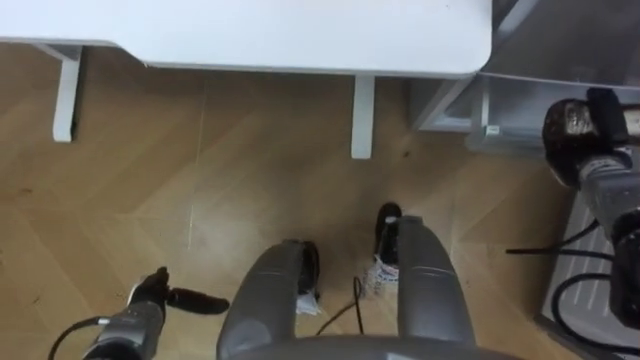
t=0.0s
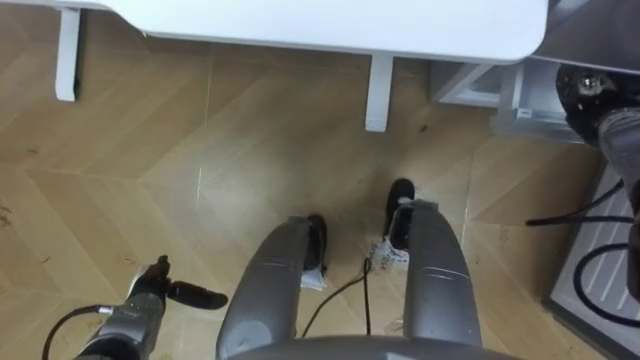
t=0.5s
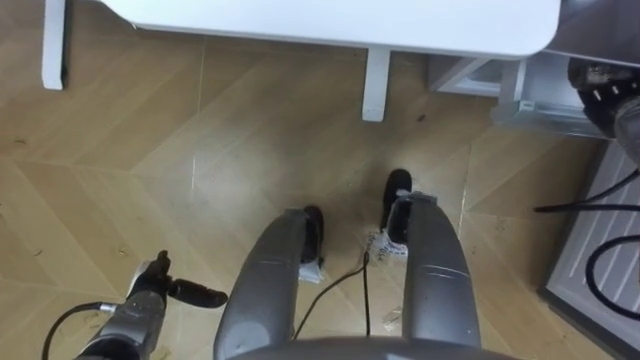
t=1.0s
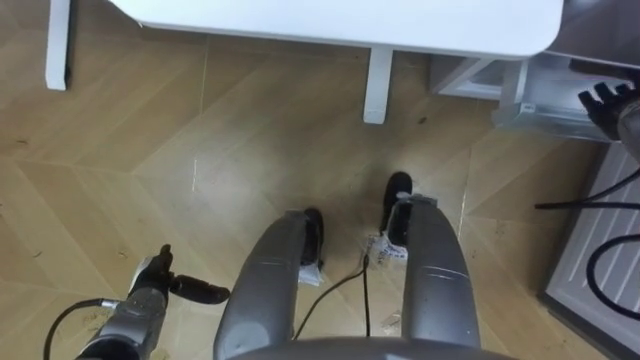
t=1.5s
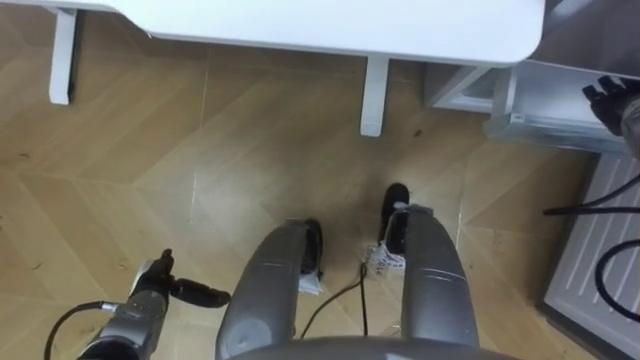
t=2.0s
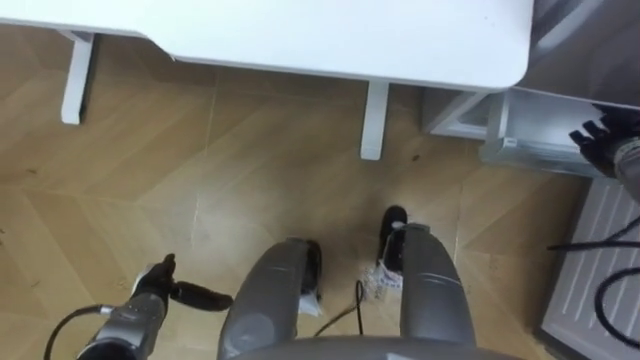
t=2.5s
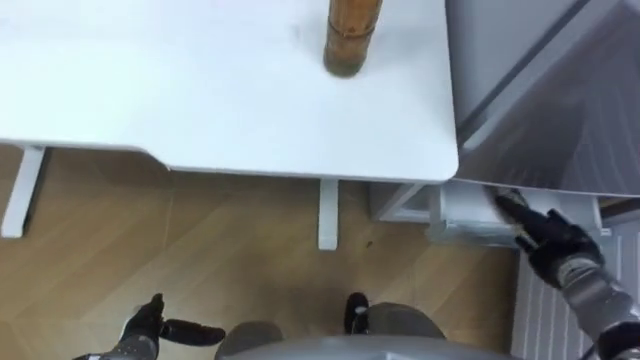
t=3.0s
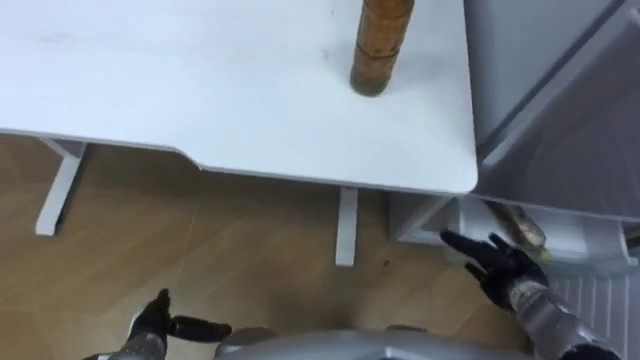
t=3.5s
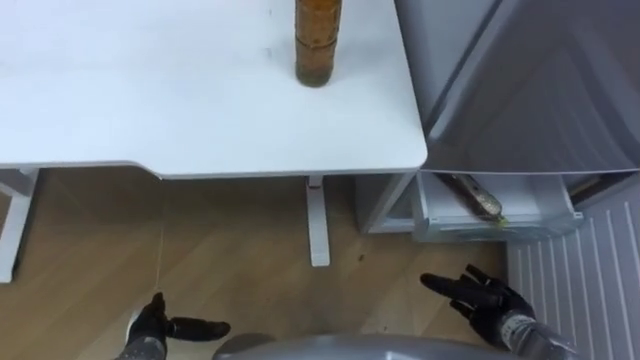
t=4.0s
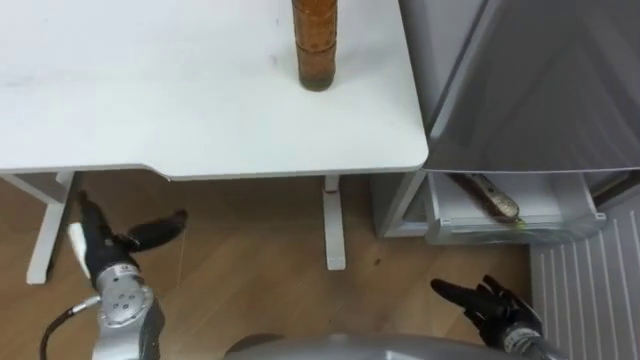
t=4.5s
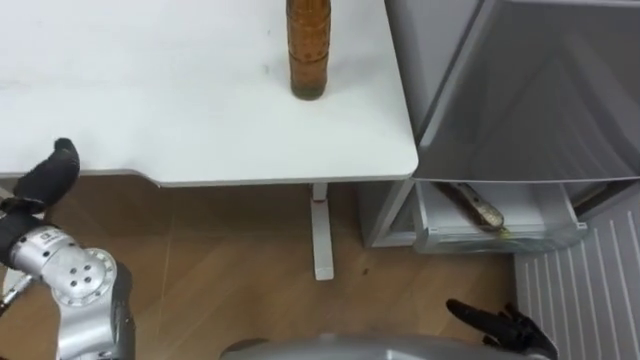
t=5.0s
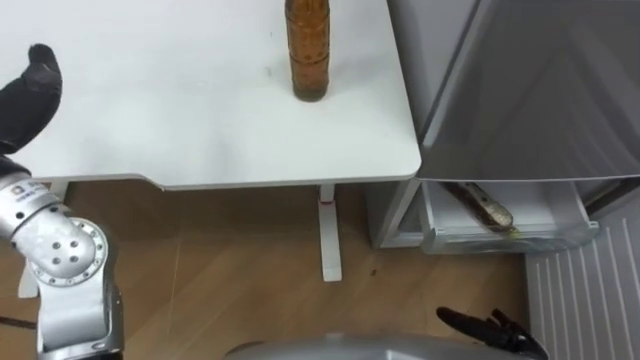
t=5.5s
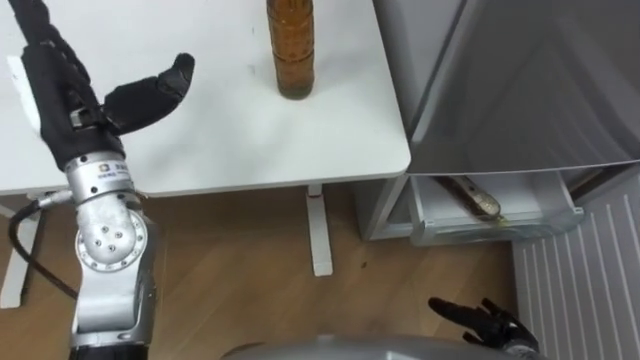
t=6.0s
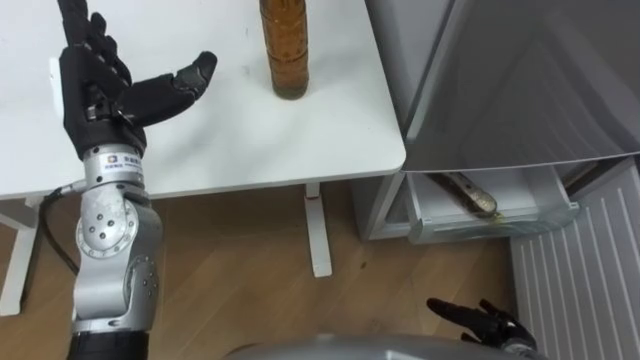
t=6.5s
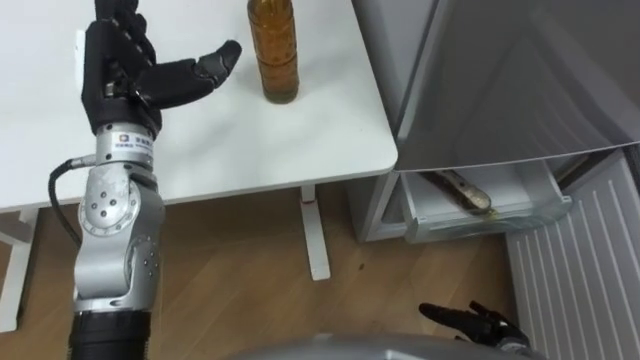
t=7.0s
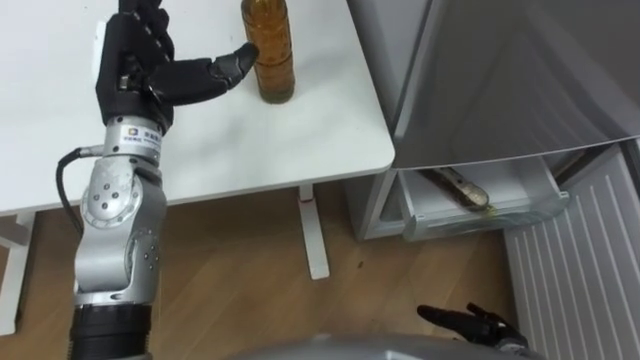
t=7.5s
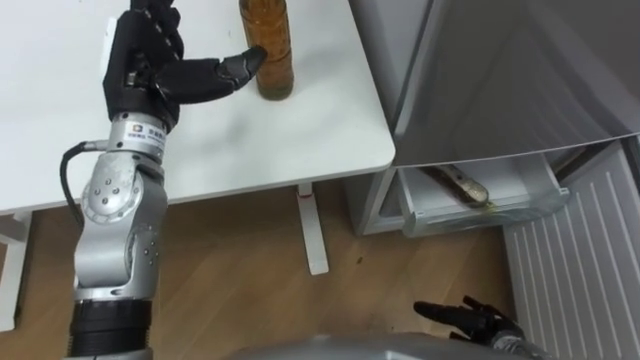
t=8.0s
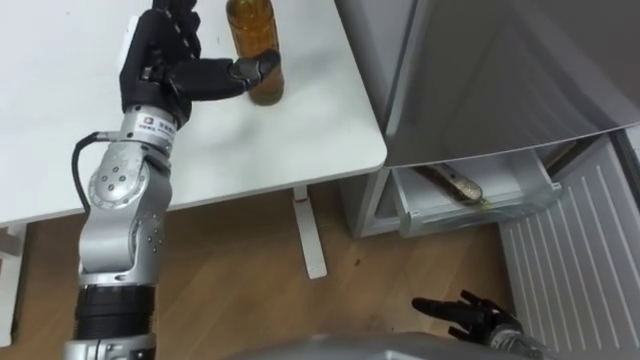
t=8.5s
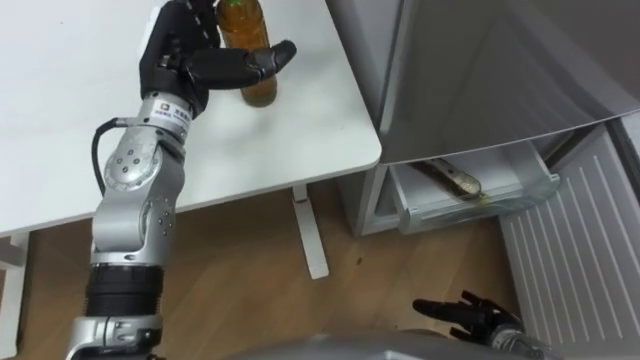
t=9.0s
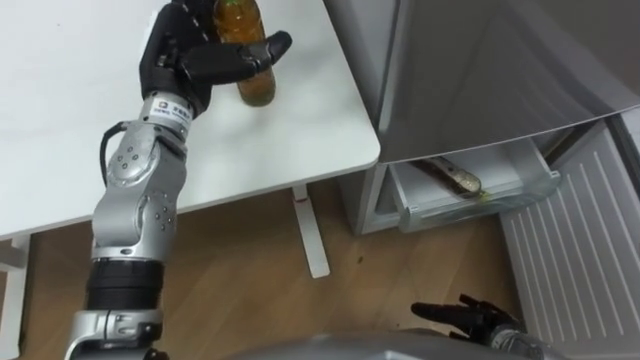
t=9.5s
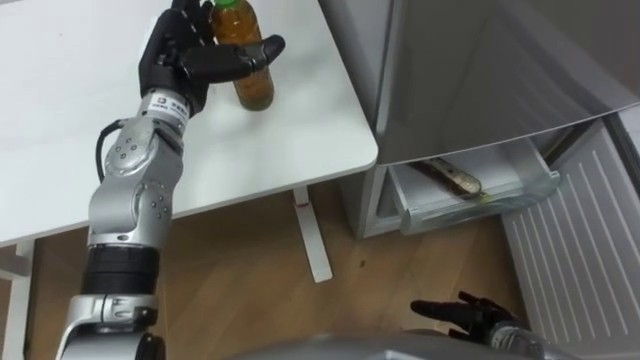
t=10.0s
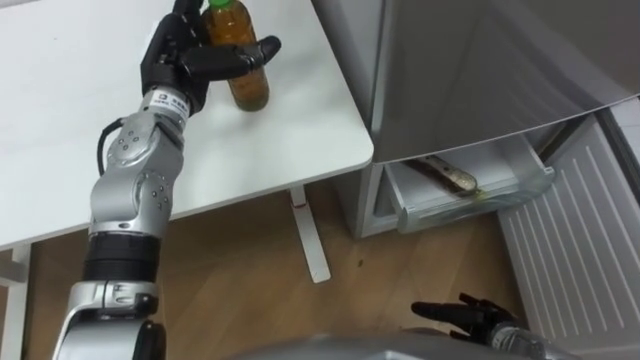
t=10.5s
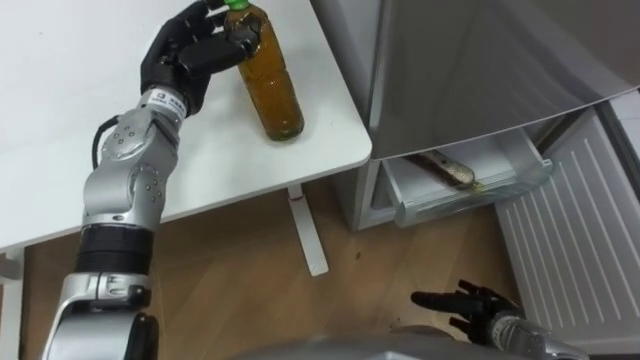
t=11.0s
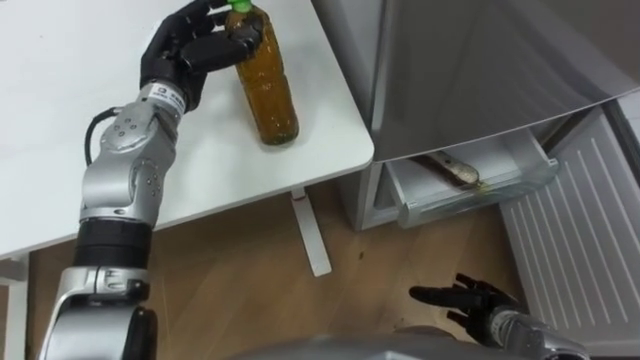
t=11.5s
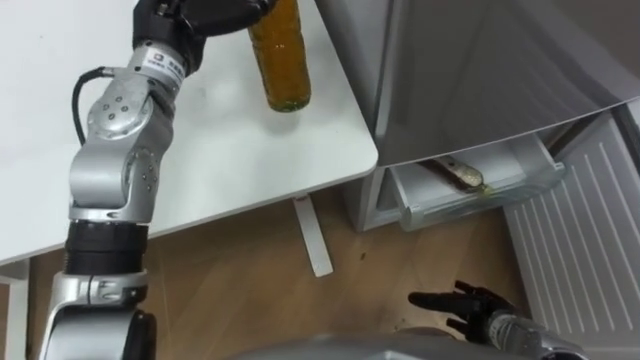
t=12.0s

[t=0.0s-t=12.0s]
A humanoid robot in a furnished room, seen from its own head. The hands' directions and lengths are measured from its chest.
Task of the whole recording: Place the drink on the table on the bottom shelf of the refrigerator, then close the drawer and the refrigerator door.
t=0.0s to t=2.0s: The right hand is displaced upward by about 10 cm, and opens.
t=2.0s to t=4.0s: The left hand is displaced backward by approximately 5 cm, while the right hand shifts approximately 35 cm backward, downward and to the left.
t=4.0s to t=6.0s: The right hand moves roughly 5 cm.
t=6.0s to t=8.0s: The left hand moves to the right and forward, roughly 10 cm.
t=8.0s to t=10.0s: The left hand changes place by roughly 5 cm.
t=10.0s to t=12.0s: The left hand changes place by about 5 cm, and closes.

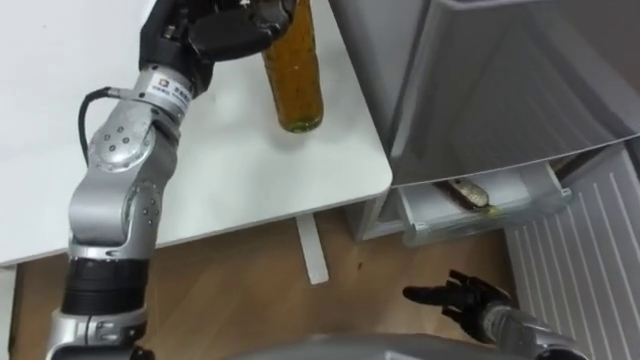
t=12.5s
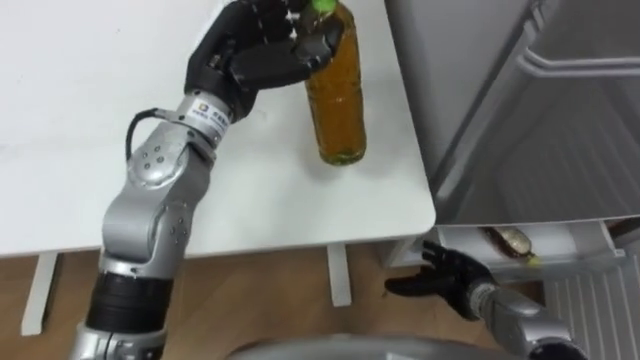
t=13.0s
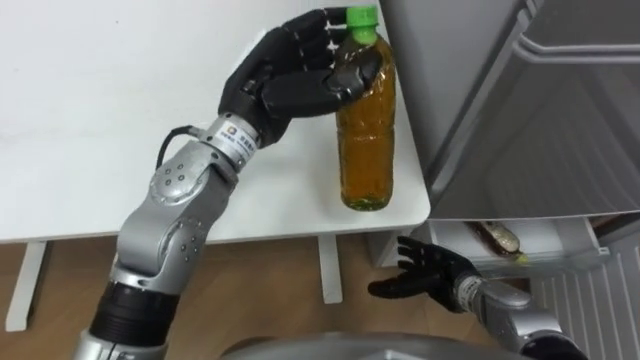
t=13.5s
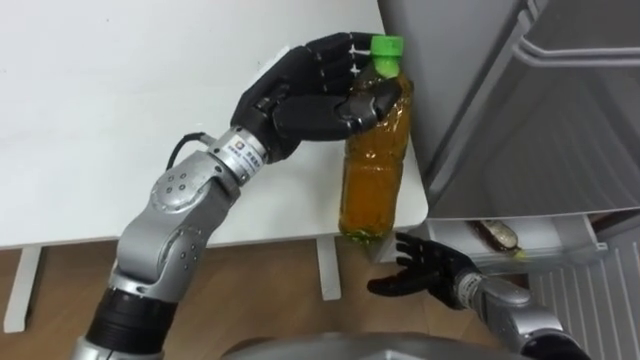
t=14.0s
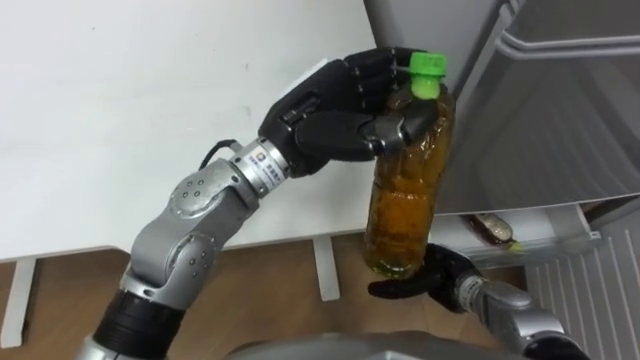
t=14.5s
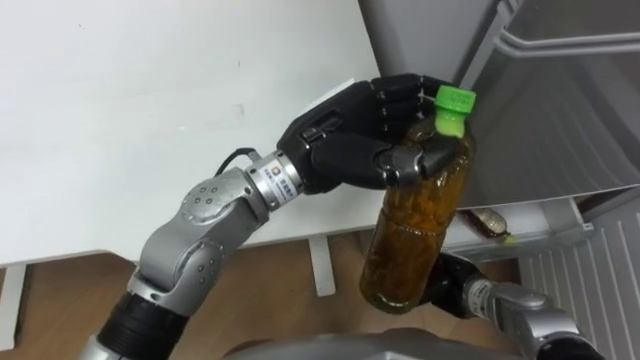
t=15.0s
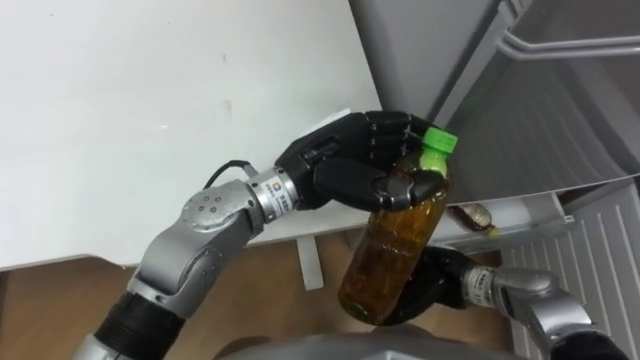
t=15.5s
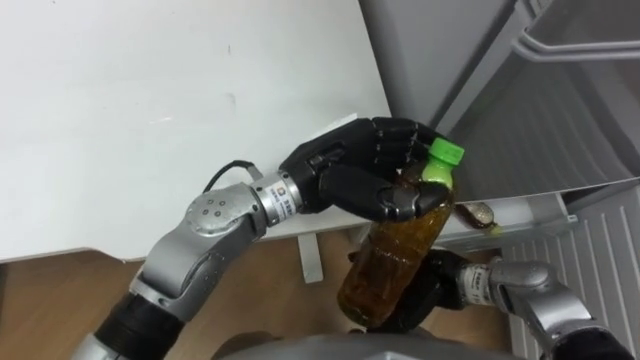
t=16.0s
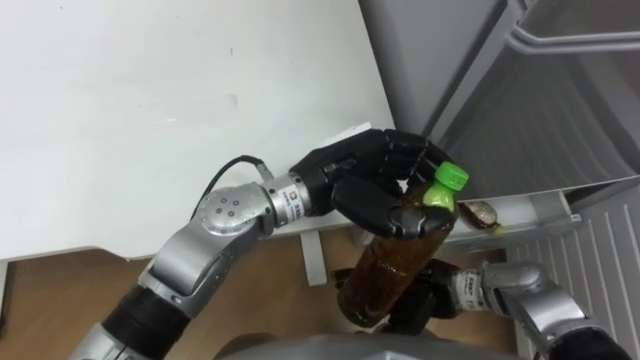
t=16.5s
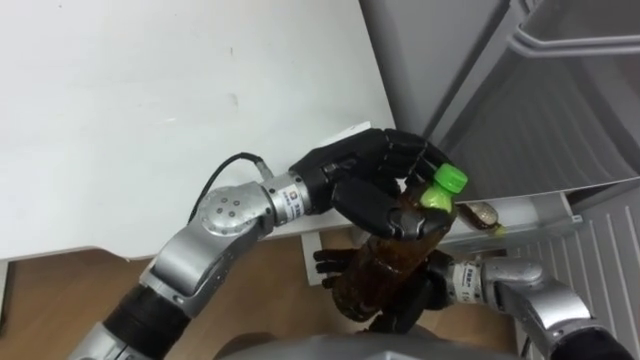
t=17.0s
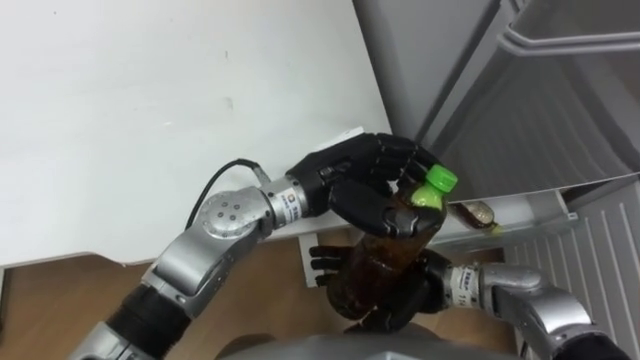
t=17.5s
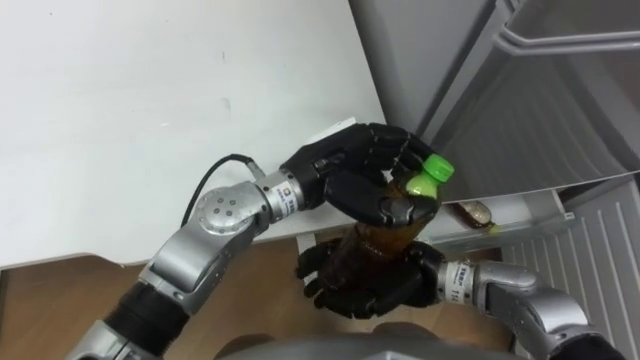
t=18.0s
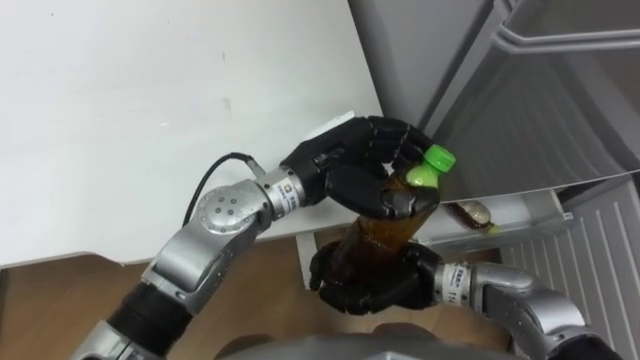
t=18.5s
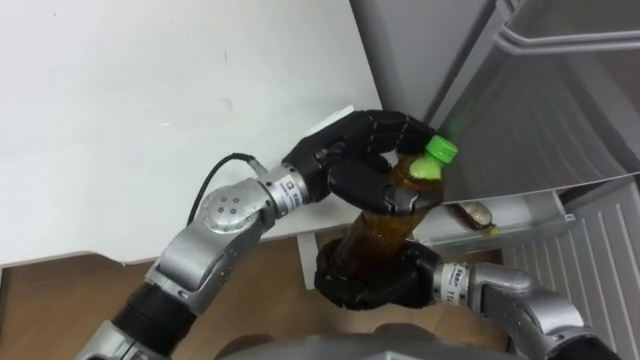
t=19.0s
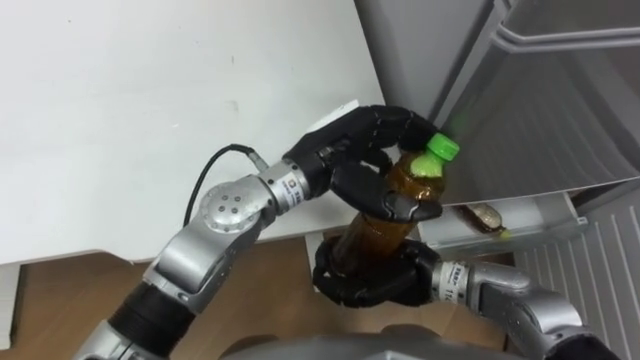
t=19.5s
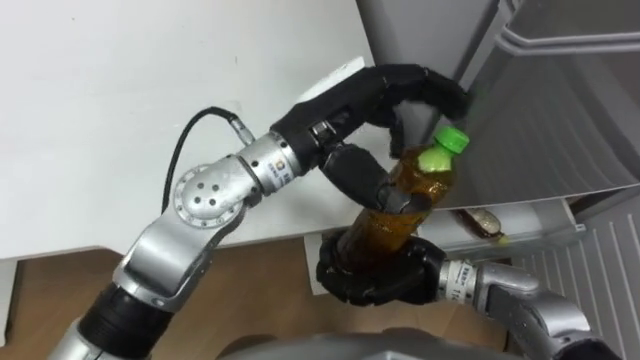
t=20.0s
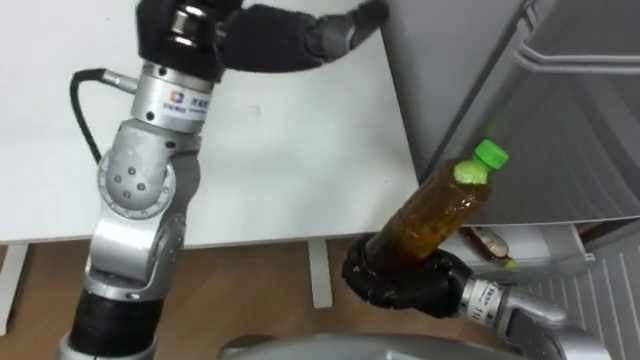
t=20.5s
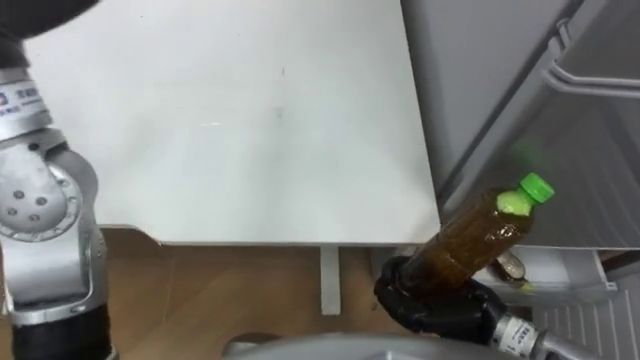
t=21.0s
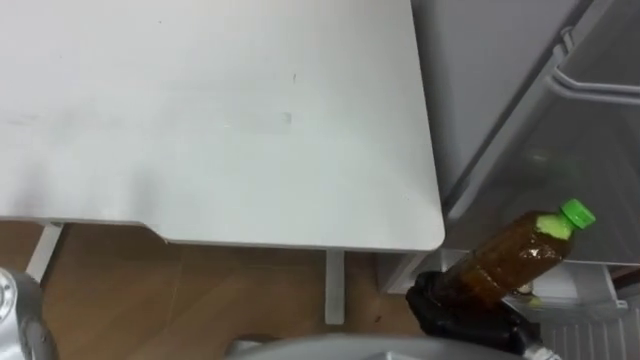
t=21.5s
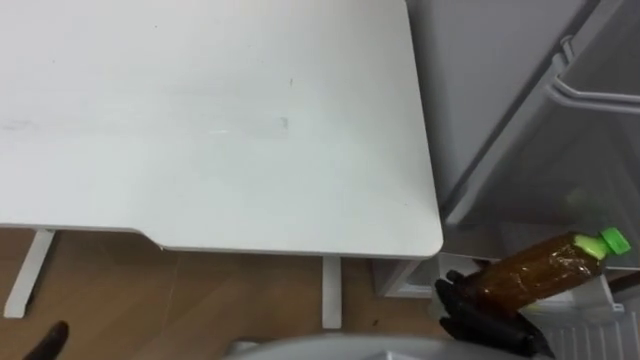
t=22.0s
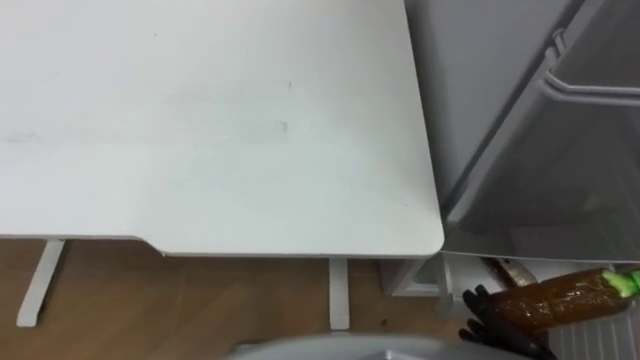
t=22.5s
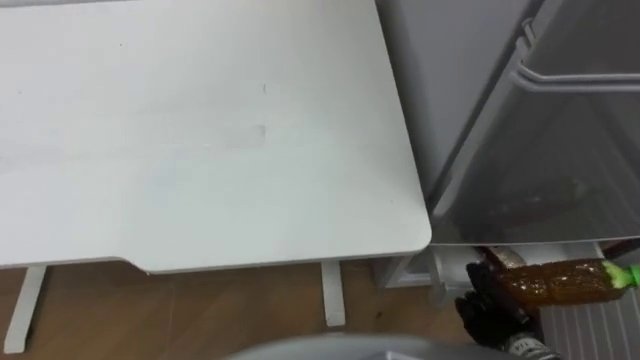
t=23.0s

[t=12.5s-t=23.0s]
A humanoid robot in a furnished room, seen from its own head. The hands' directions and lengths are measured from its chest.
Task of the whole recording: Place the drink on the table on the bottom shelf of the refrigerator, then close the drawer and the refrigerator door.
t=12.5s to t=14.5s: The right hand travels to the left and forward by about 10 cm, while the left hand moves to the right and backward, roughly 15 cm.
t=14.5s to t=16.5s: The right hand travels upward by roughly 5 cm. The left hand is displaced downward by approximately 5 cm.
t=16.5s to t=19.0s: The right hand moves some 5 cm, and closes.
t=19.0s to t=21.0s: The right hand shifts roughly 10 cm to the right.
t=21.0s to t=23.0s: The right hand is displaced downward and to the right by about 15 cm.
